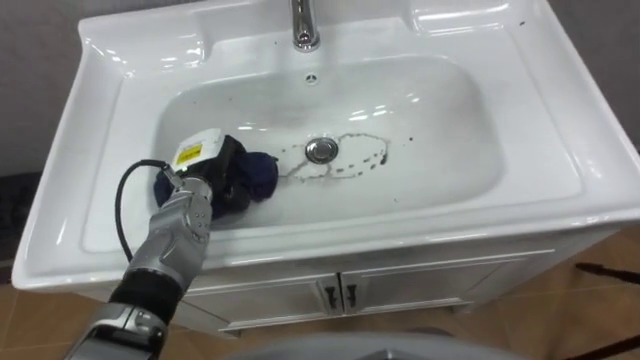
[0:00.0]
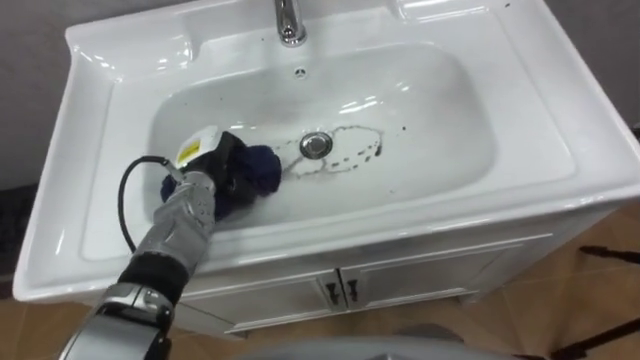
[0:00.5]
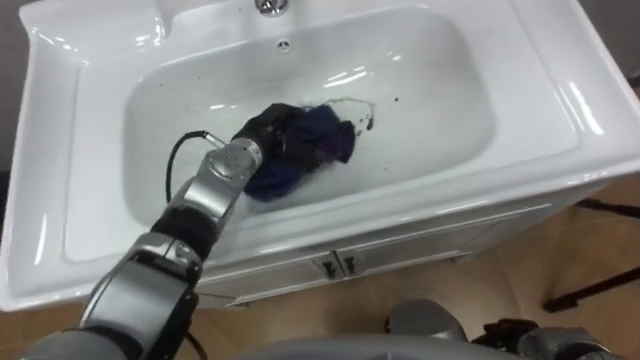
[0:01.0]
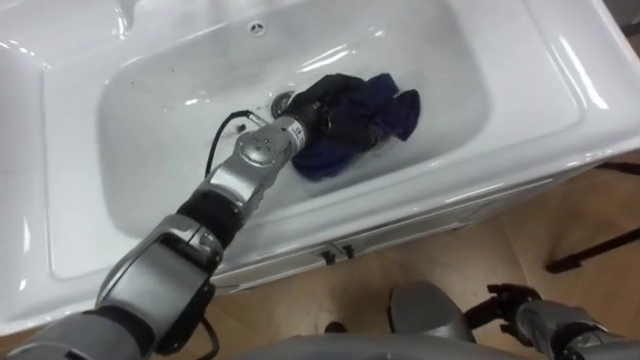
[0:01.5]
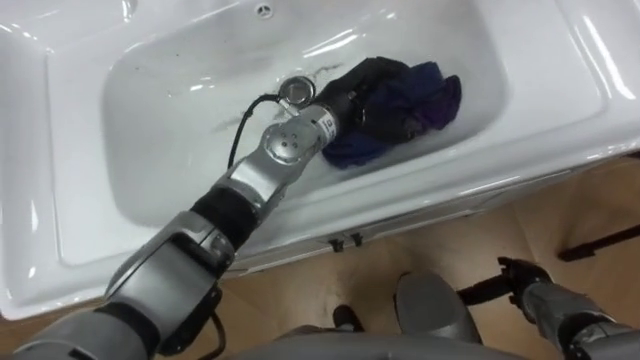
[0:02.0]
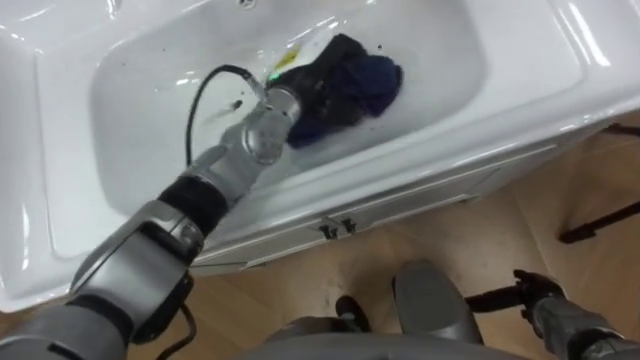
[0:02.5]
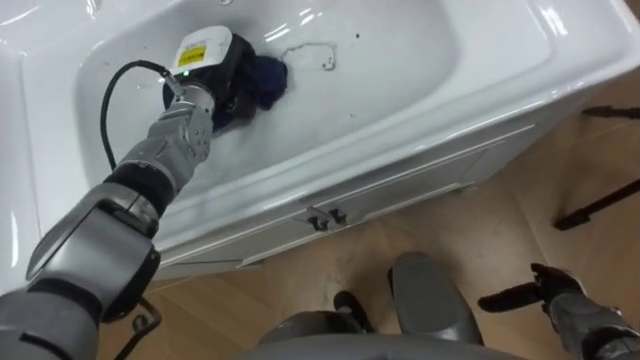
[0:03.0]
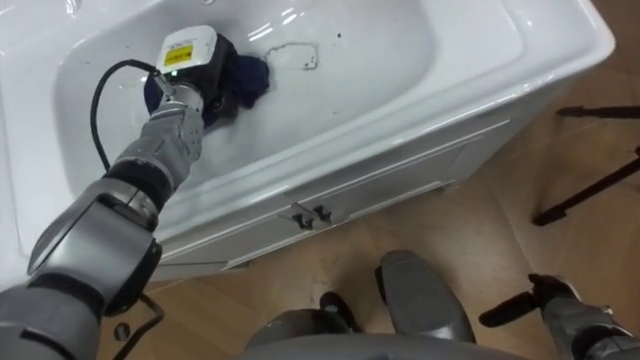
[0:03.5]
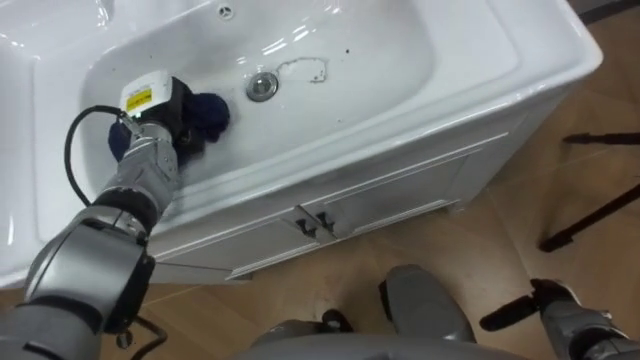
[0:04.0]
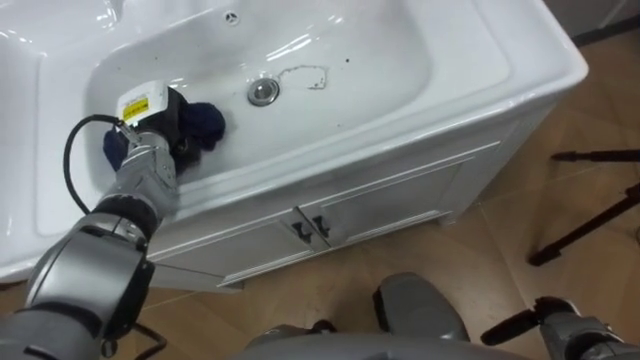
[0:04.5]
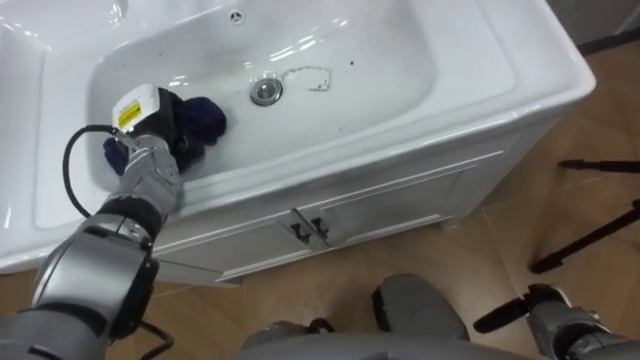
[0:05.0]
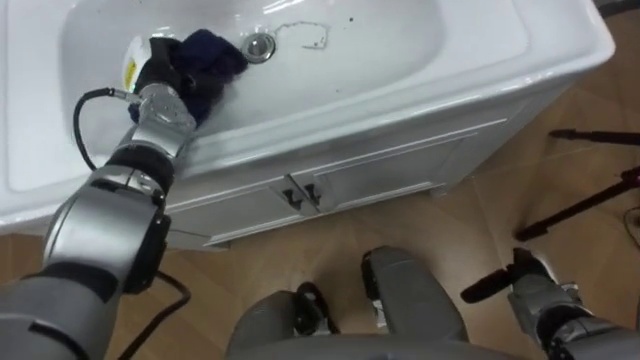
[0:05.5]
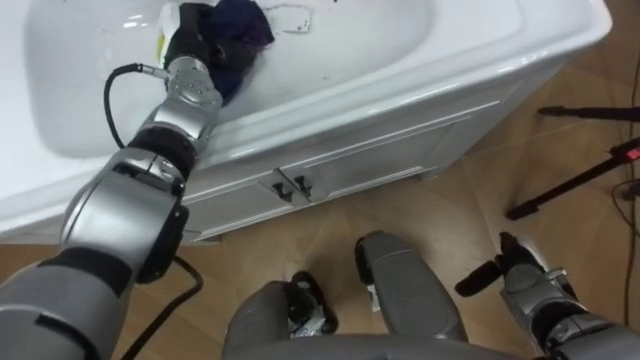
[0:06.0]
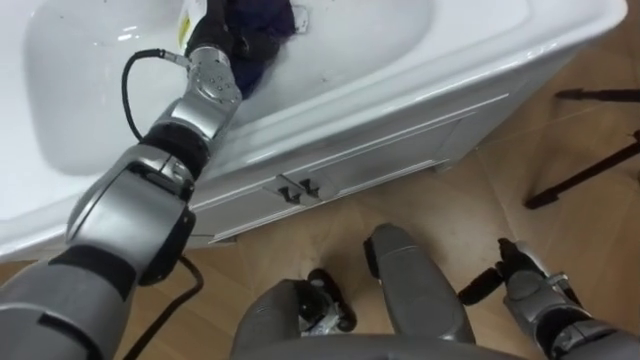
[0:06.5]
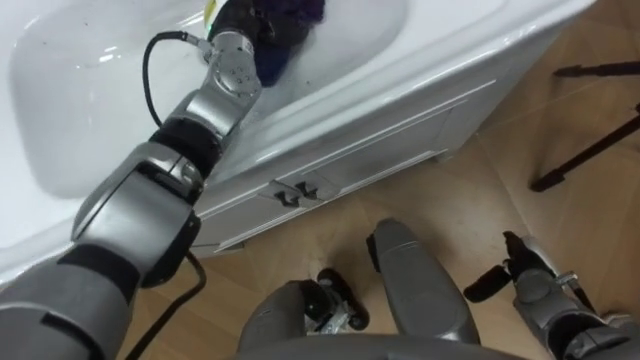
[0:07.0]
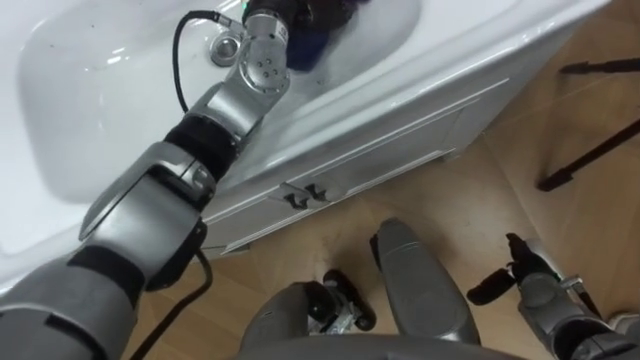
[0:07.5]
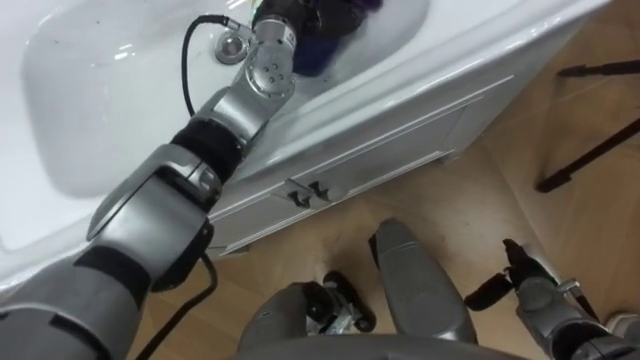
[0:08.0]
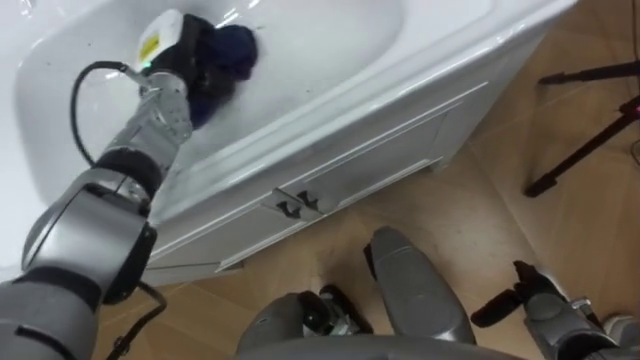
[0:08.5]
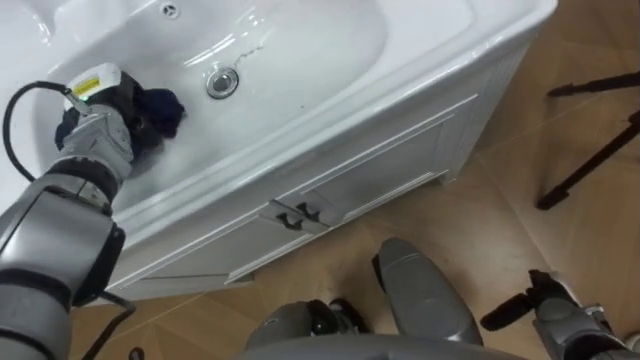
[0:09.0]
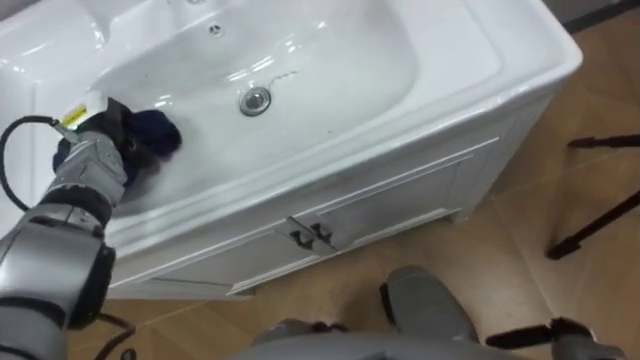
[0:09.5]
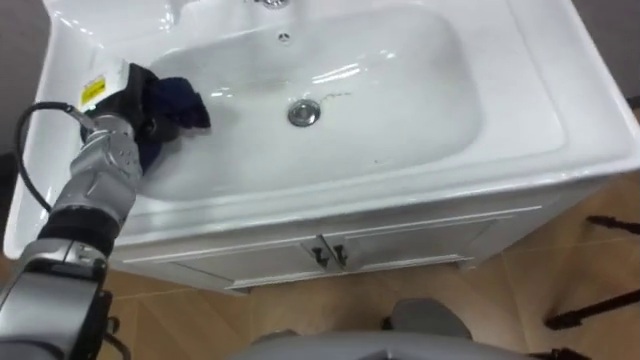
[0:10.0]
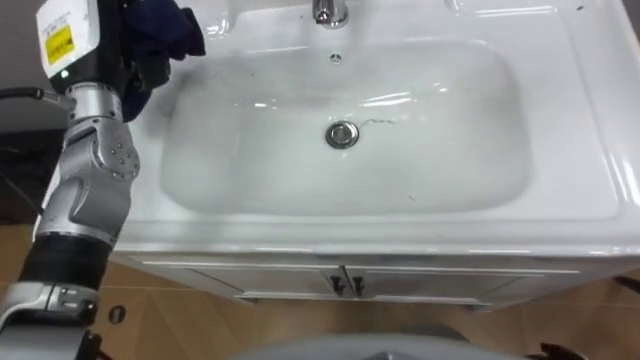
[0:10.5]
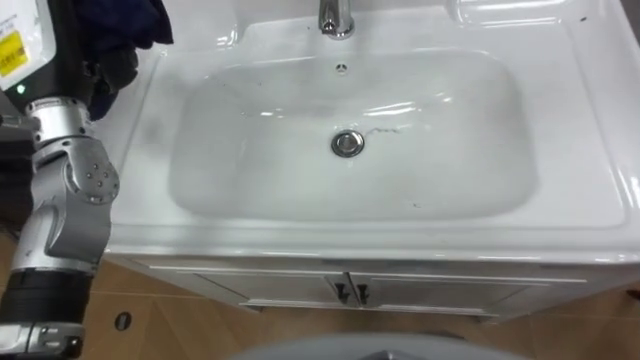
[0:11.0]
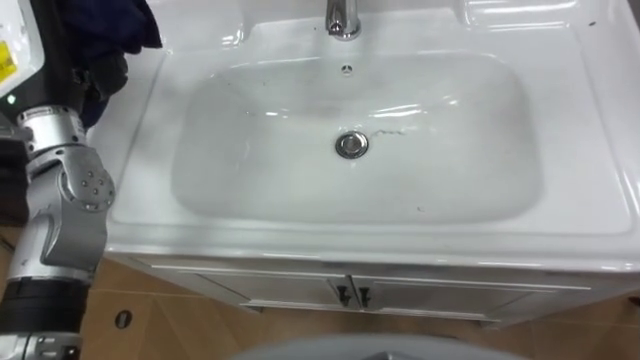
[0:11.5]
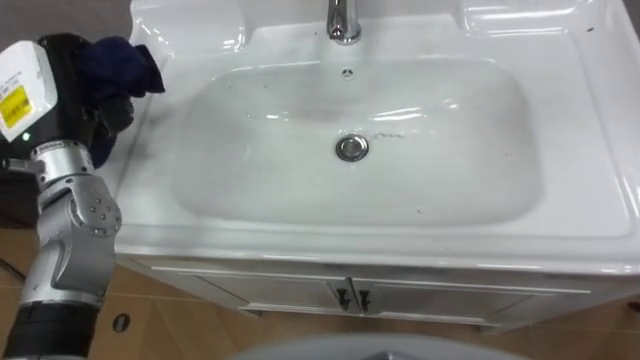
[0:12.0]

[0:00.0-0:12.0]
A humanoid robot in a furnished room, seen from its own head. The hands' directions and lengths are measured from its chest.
Task of the whole recording: Use the cloth on the right to wipe away the black stain in the sink.
0:00.0 to 0:02.0: The left hand moves to the right and upward, some 25 cm.
0:02.0 to 0:04.0: The left hand is displaced to the left by roughly 30 cm.
0:04.0 to 0:06.0: The left hand goes some 10 cm upward, to the right and forward. The right hand is displaced forward by about 5 cm.
0:10.0 to 0:12.0: The left hand travels upward and backward by about 10 cm.

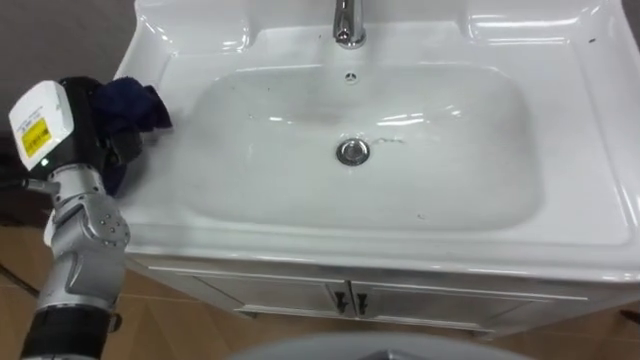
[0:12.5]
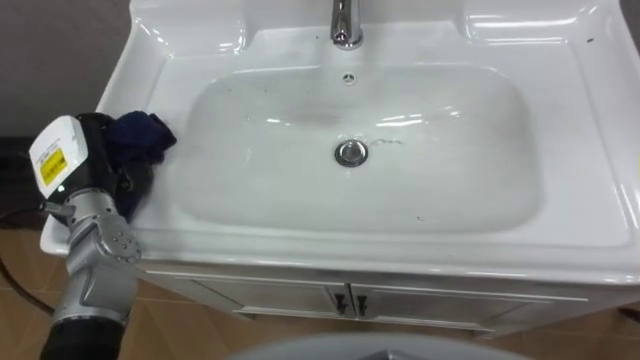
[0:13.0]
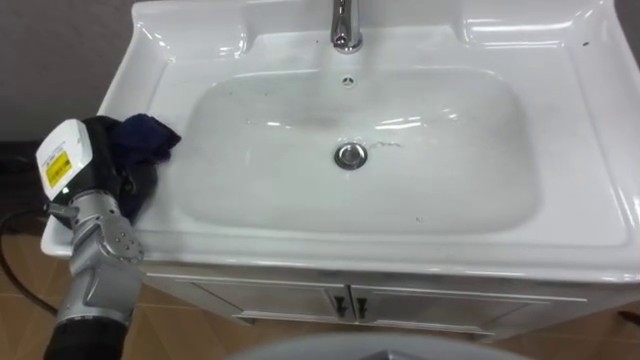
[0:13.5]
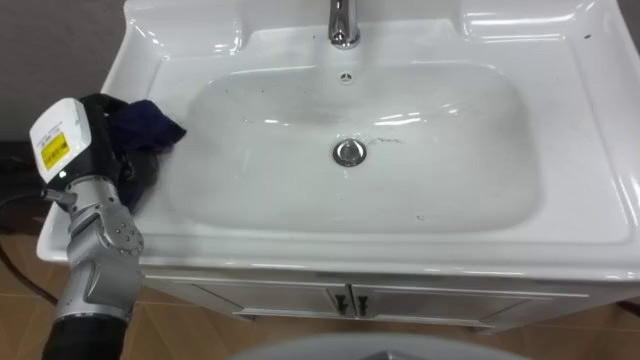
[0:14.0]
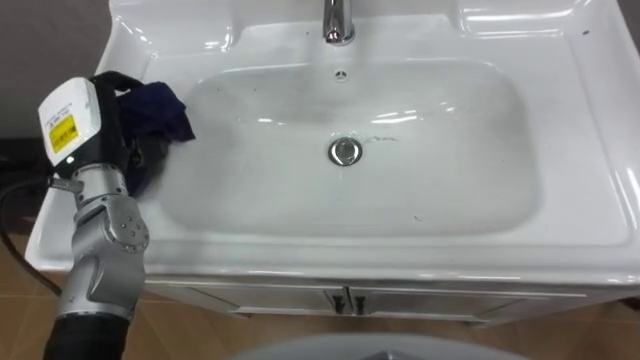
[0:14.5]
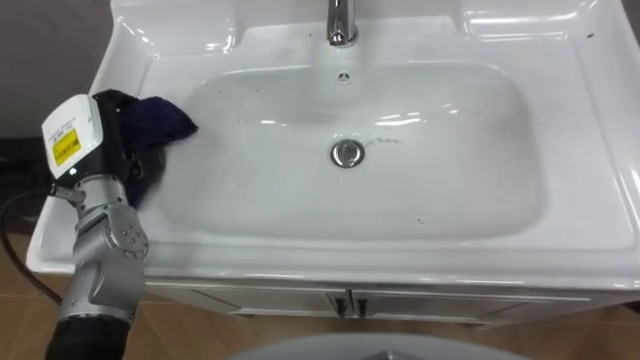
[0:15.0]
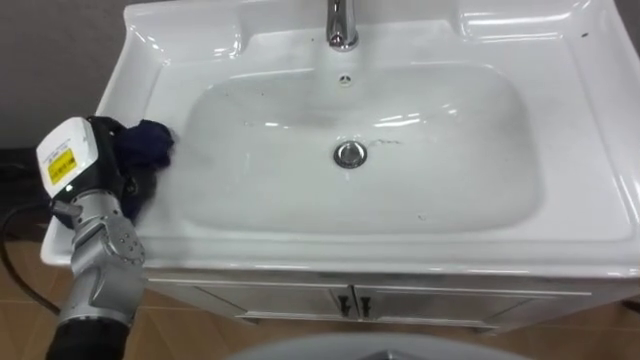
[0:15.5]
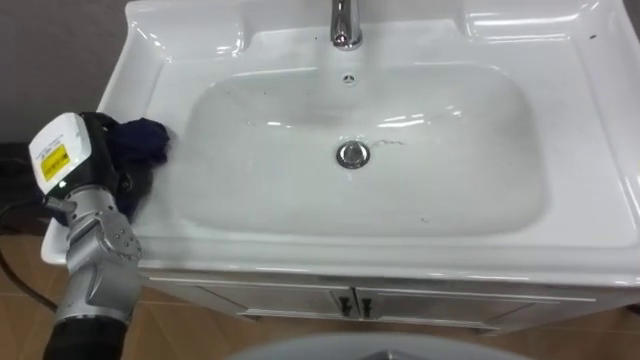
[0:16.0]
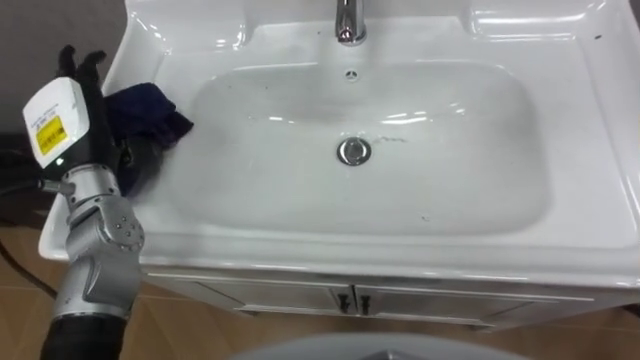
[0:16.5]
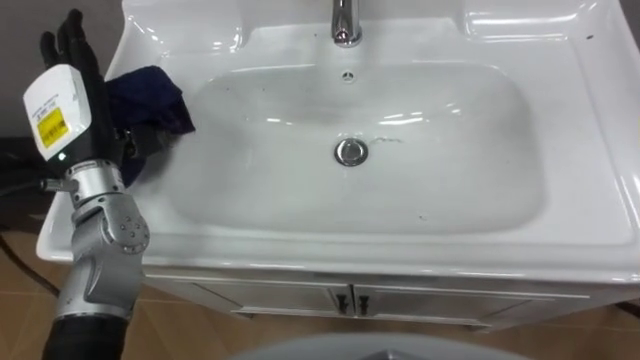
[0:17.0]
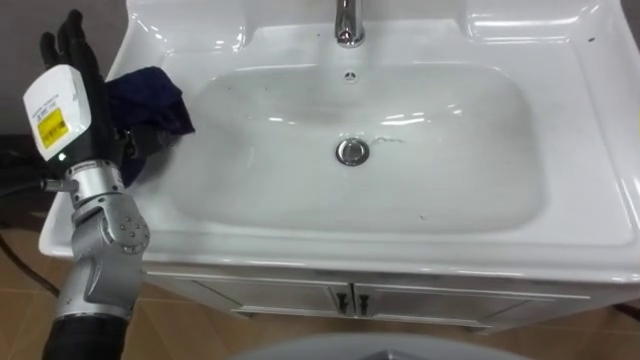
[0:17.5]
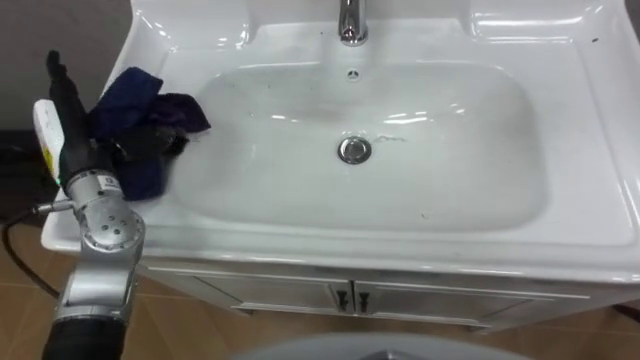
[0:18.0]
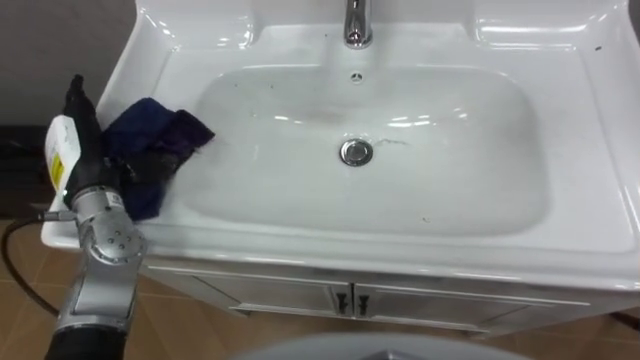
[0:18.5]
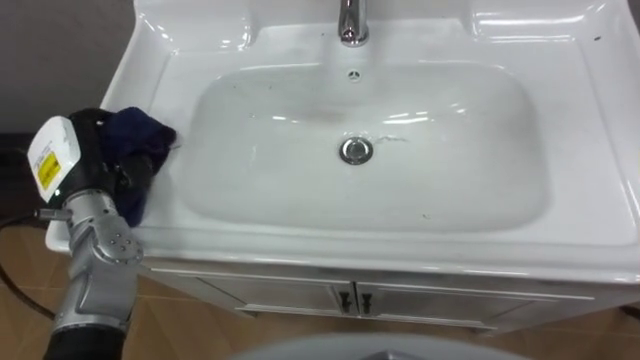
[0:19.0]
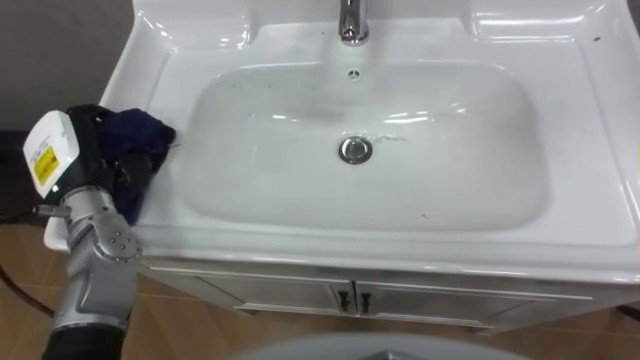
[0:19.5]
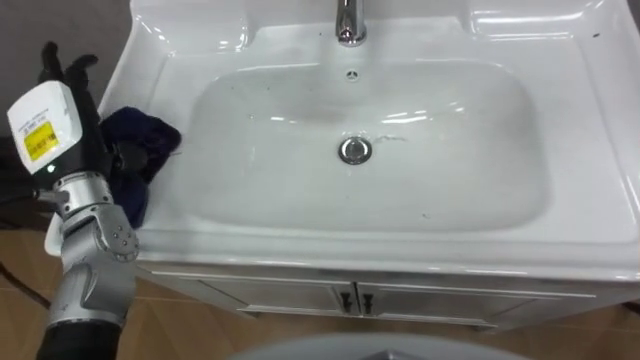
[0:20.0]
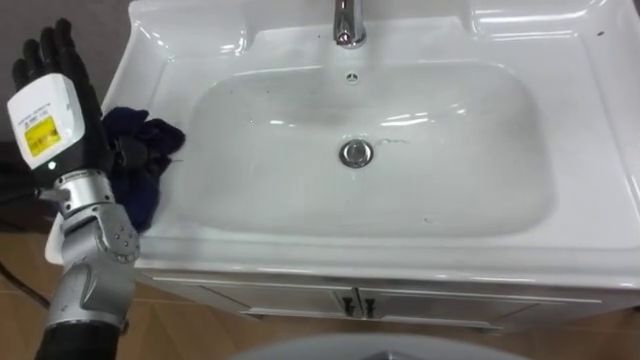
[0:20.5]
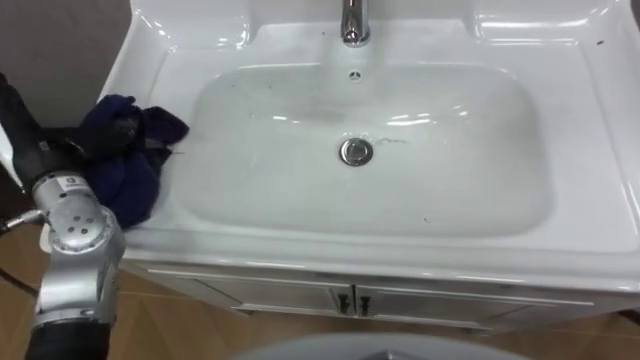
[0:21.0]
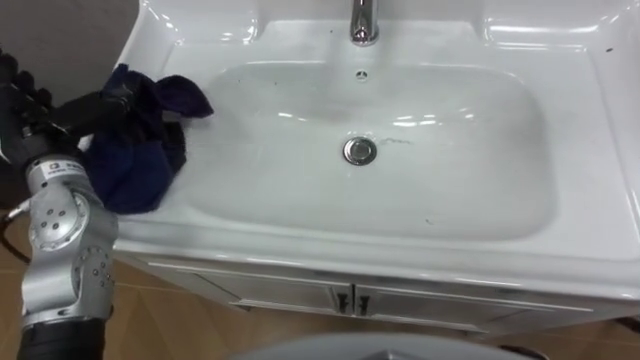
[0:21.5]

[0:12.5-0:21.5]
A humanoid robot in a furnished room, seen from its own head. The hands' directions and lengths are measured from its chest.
Task of the whole recording: Use the cloth on the right to wipe away the black stain in the sink.
0:14.5 to 0:17.0: The left hand opens its fingers.
0:17.0 to 0:19.5: The left hand shifts by some 5 cm, and closes its fingers.
0:19.5 to 0:21.5: The left hand opens its fingers.
